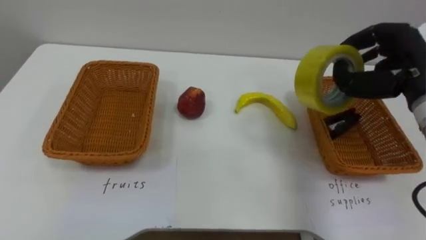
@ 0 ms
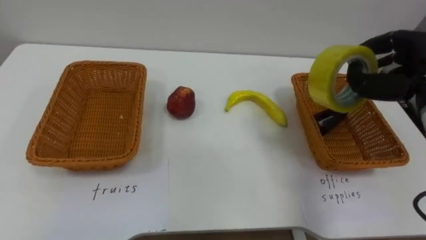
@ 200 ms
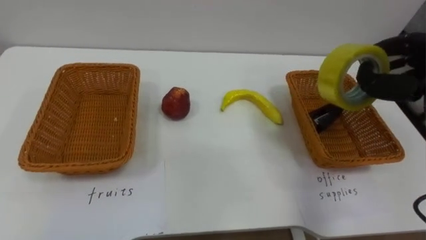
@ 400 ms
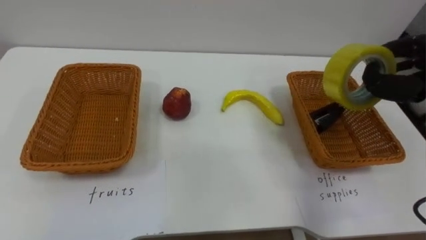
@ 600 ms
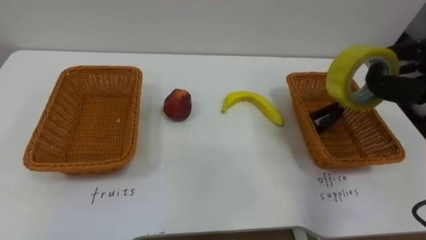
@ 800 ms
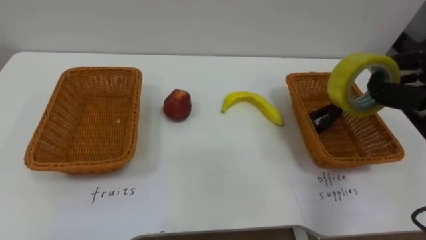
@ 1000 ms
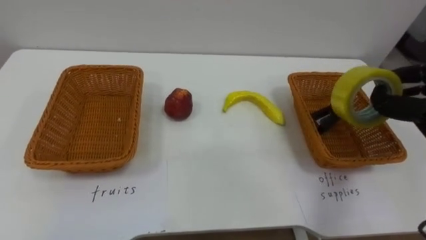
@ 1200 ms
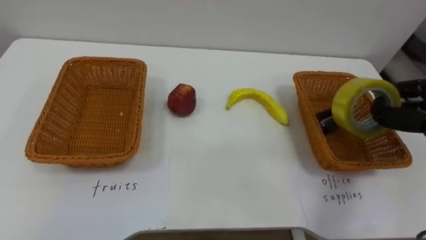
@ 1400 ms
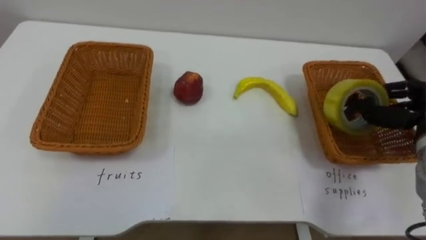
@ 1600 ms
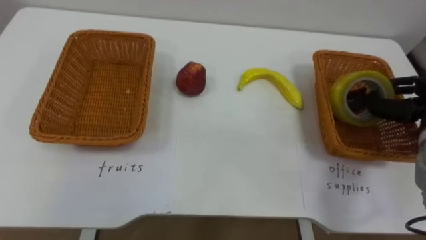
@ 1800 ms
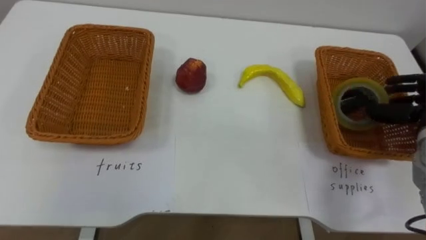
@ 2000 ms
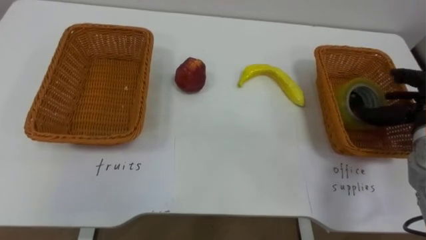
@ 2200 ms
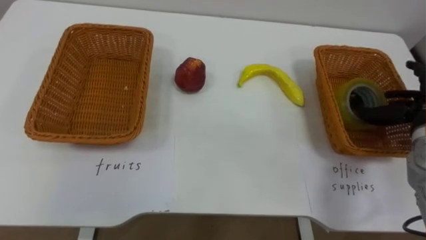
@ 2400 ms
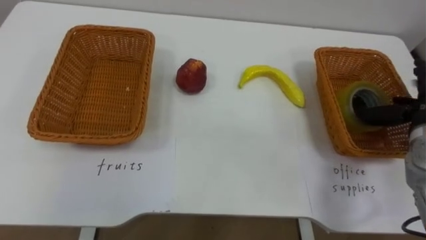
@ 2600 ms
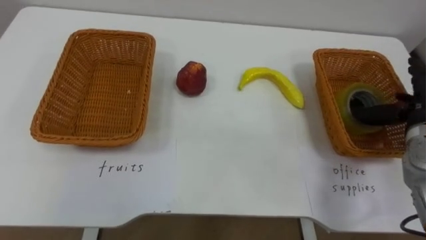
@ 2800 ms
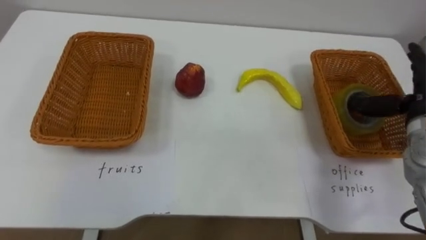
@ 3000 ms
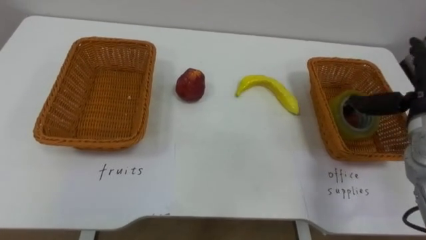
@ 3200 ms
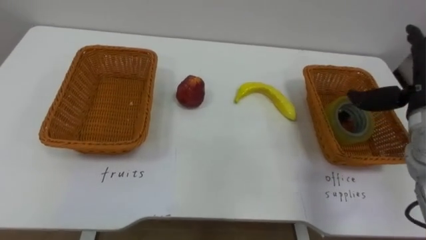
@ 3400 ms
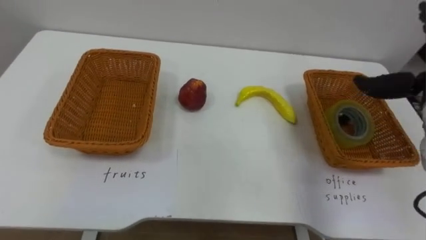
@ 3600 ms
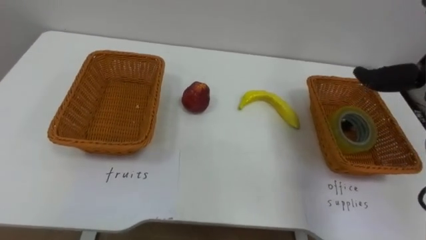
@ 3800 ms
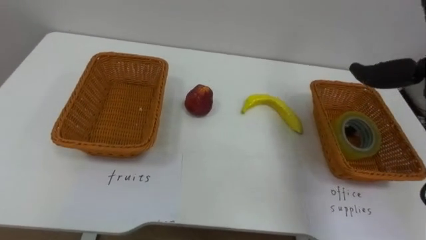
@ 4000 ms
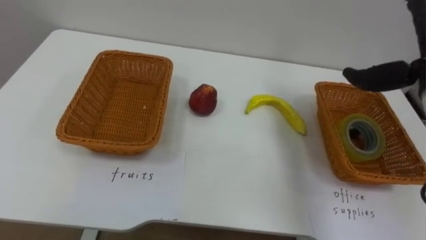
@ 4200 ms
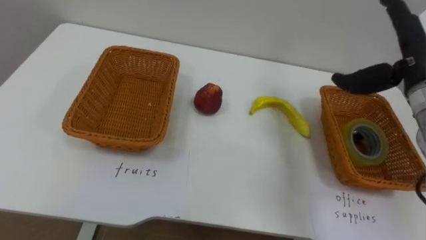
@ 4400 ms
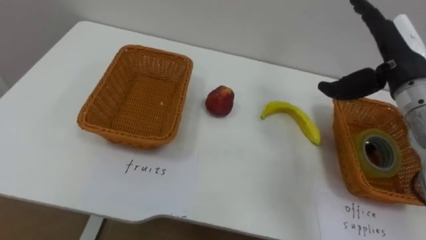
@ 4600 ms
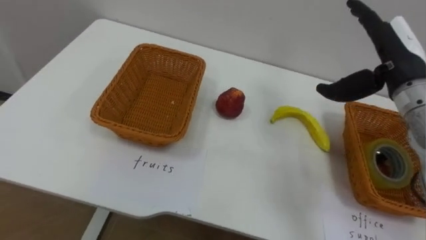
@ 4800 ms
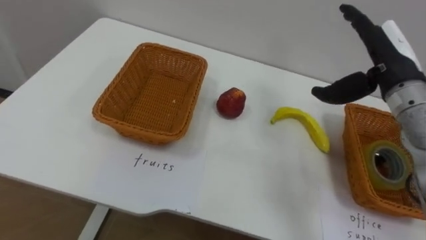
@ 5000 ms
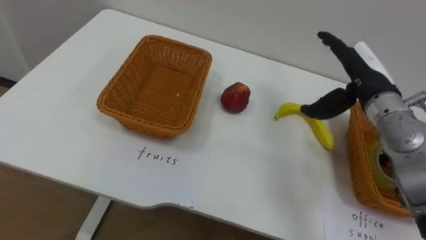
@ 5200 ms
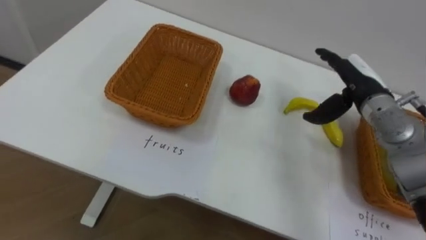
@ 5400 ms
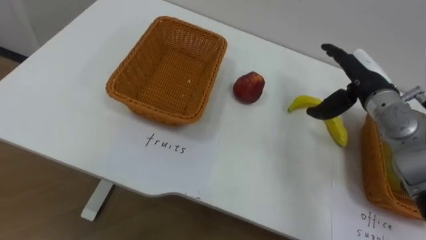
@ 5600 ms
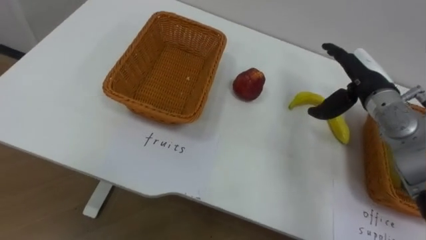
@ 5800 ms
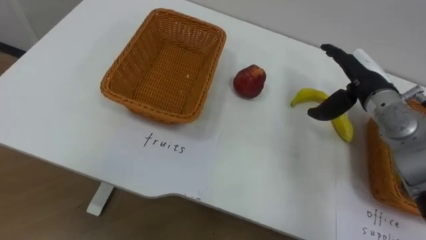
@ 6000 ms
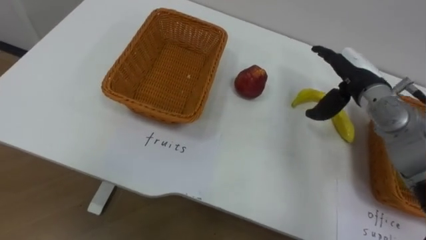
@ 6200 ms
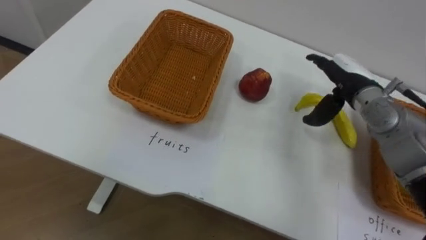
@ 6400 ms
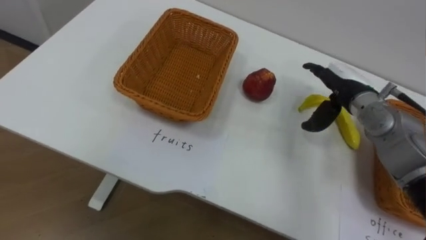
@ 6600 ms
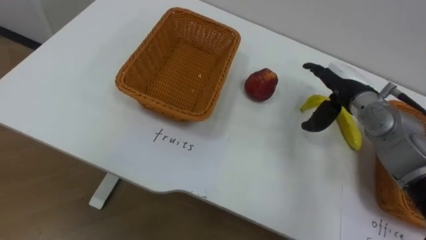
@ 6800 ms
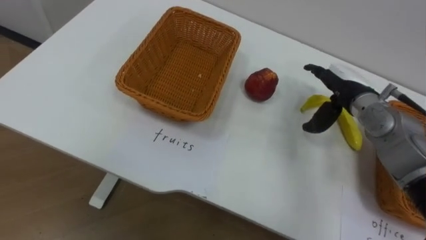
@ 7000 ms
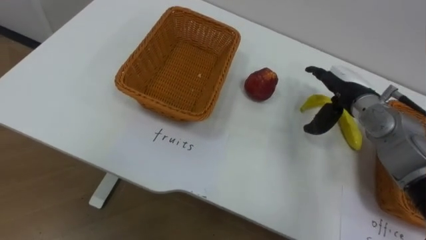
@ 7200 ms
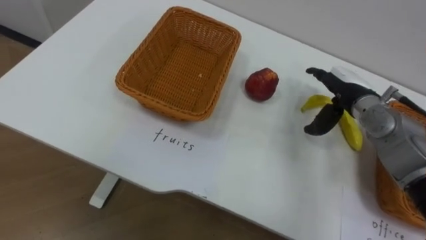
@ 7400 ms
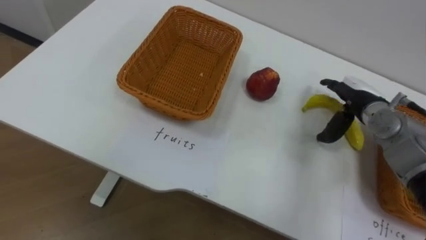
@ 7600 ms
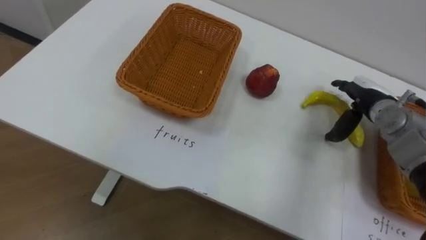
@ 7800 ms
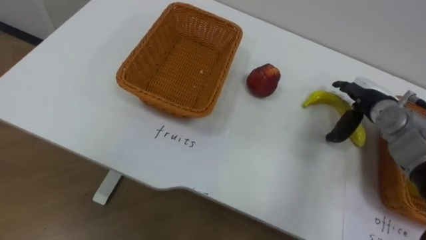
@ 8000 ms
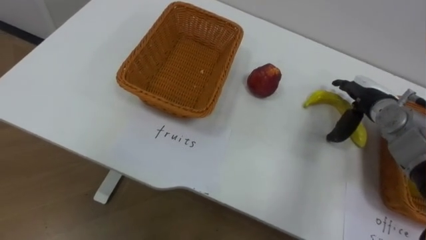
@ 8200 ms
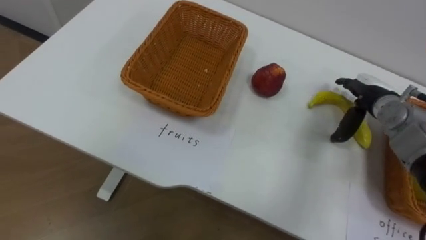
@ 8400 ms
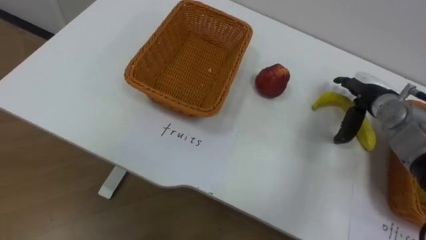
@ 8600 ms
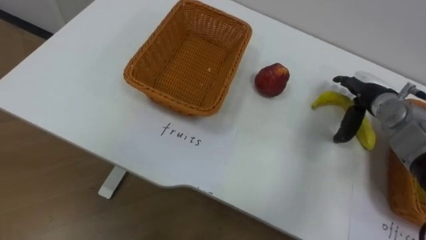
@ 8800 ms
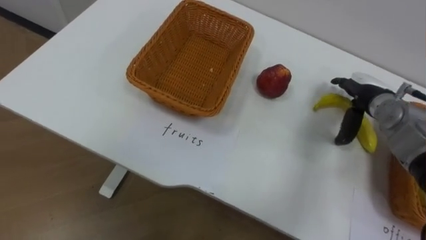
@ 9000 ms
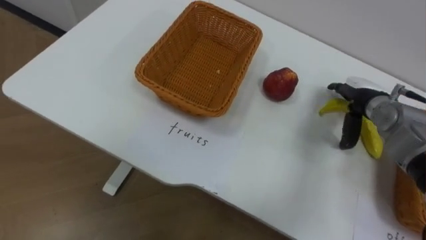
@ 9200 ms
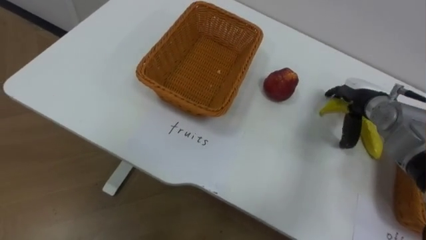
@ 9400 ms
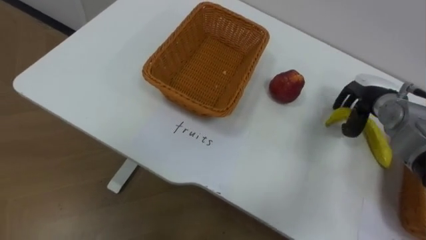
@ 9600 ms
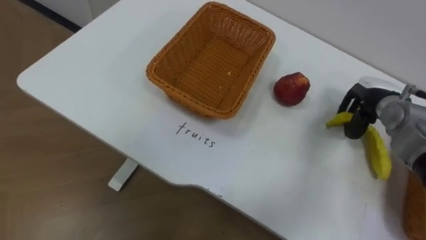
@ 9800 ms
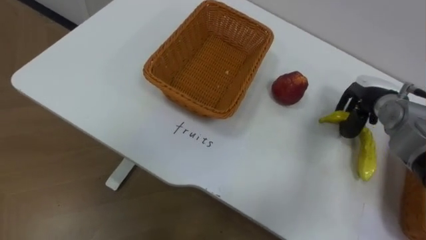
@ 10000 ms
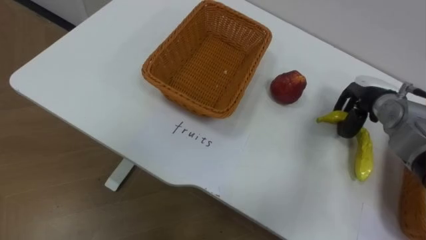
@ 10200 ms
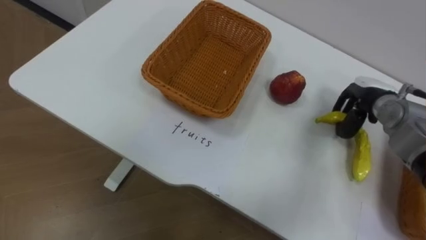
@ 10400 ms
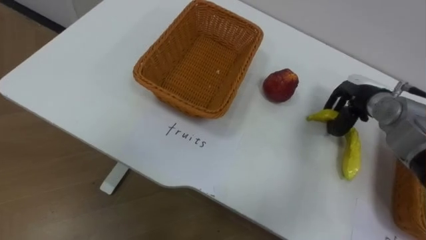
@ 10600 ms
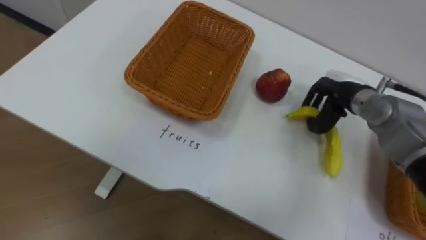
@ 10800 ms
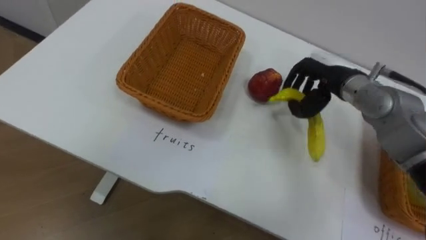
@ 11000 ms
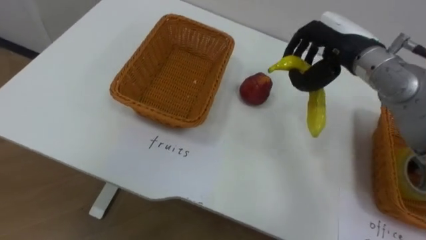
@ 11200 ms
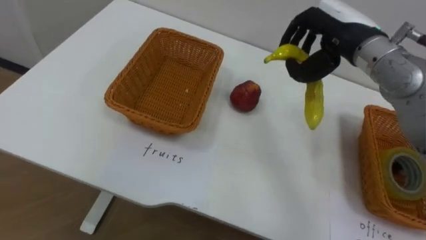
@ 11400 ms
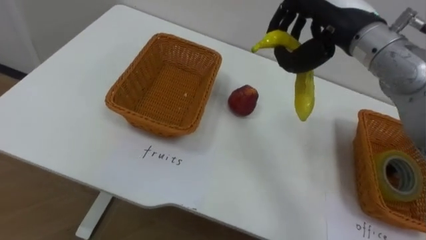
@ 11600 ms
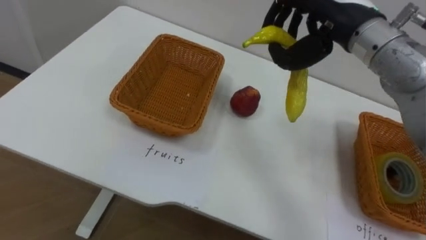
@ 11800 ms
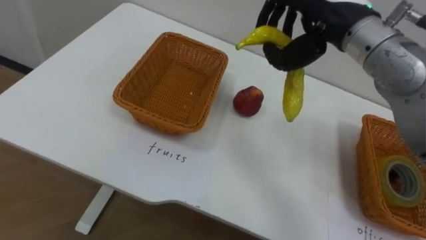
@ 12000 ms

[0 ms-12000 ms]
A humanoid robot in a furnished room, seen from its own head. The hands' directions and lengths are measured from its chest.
Task of the whole recording: Separate the items on the table and place them into the two baskets.
4400 ms to 6000 ms: The right hand heads downward, covering about 10 cm.
6000 ms to 7600 ms: The right hand travels downward by roughly 5 cm.
9000 ms to 10400 ms: The right hand closes its fingers.
10400 ms to 12000 ms: The right hand is displaced upward and to the left by about 25 cm.

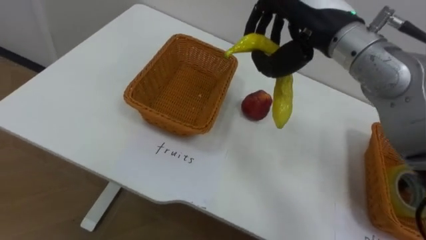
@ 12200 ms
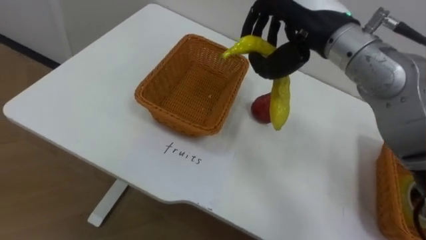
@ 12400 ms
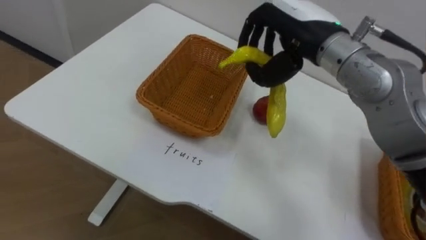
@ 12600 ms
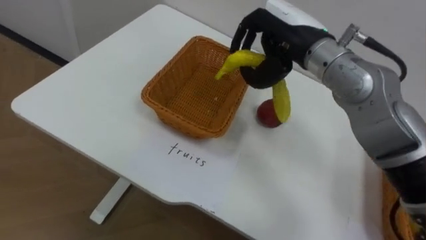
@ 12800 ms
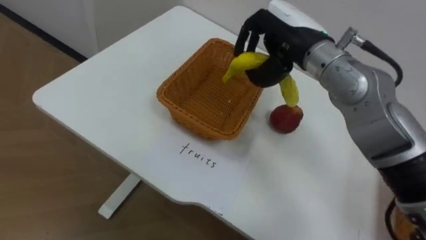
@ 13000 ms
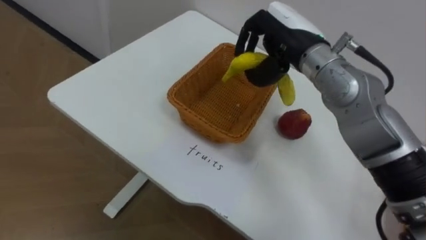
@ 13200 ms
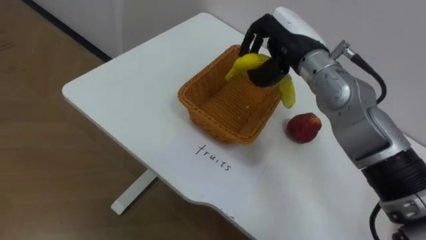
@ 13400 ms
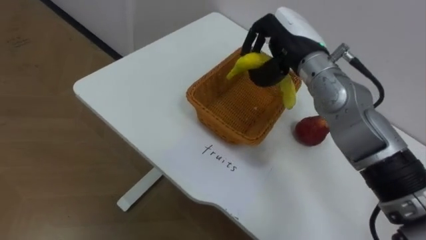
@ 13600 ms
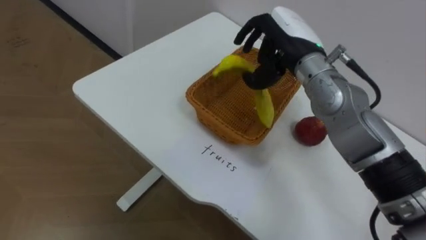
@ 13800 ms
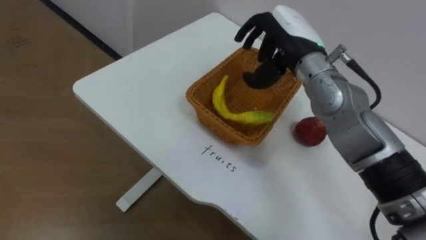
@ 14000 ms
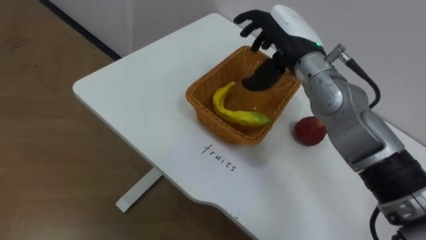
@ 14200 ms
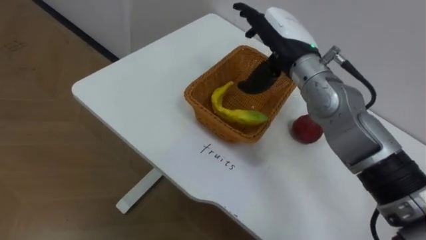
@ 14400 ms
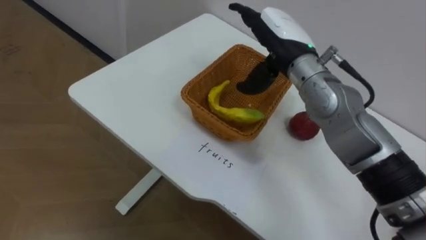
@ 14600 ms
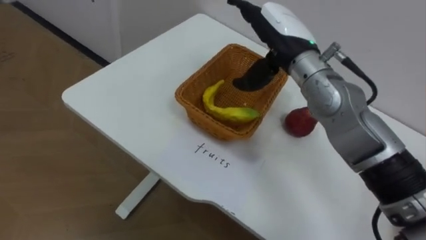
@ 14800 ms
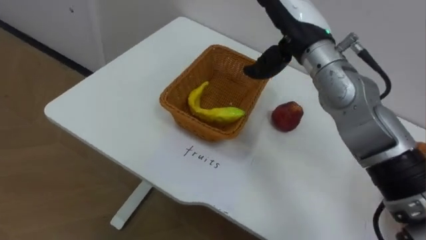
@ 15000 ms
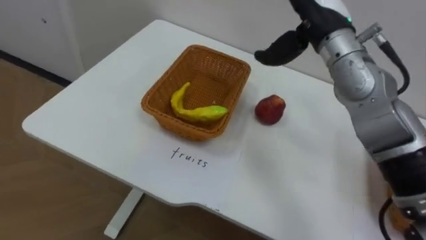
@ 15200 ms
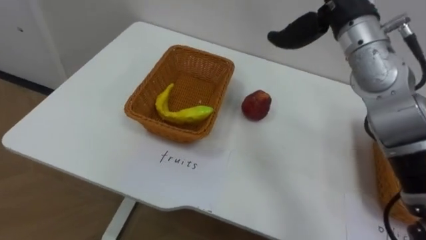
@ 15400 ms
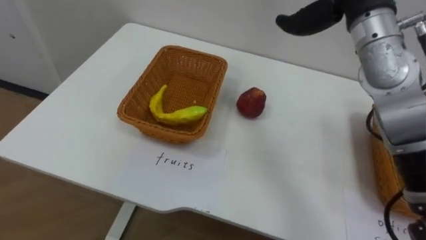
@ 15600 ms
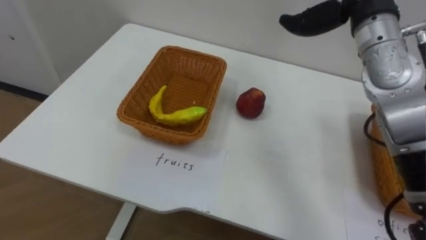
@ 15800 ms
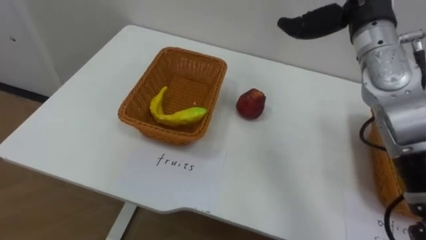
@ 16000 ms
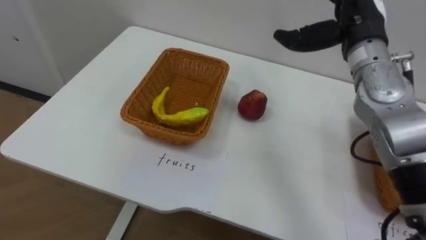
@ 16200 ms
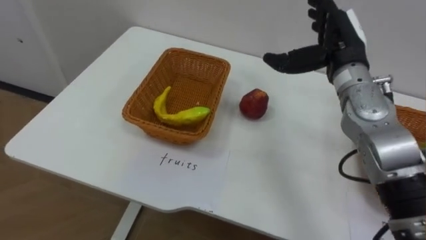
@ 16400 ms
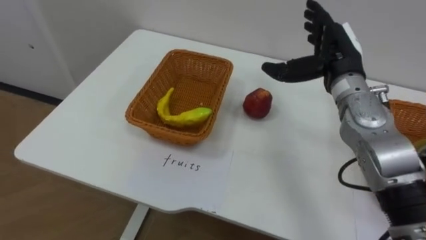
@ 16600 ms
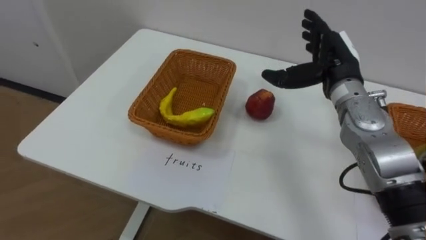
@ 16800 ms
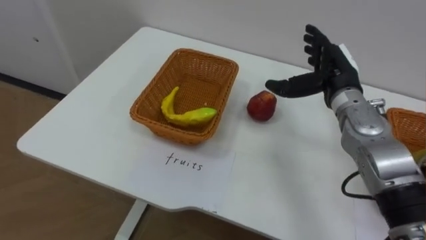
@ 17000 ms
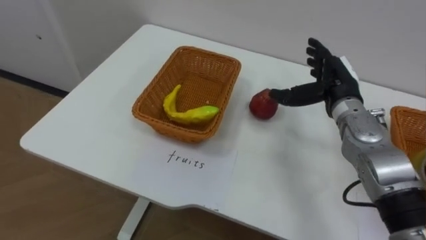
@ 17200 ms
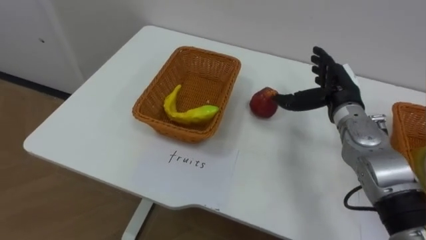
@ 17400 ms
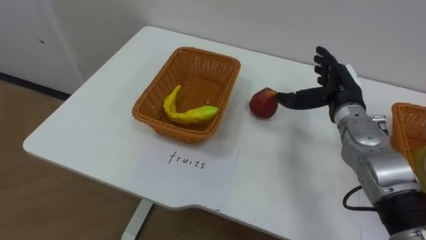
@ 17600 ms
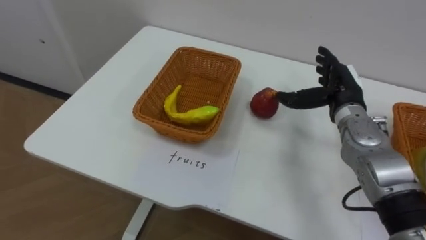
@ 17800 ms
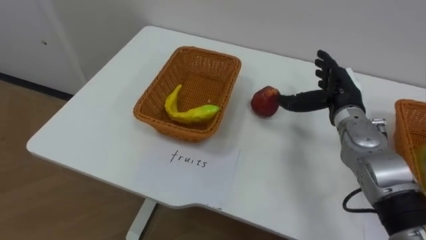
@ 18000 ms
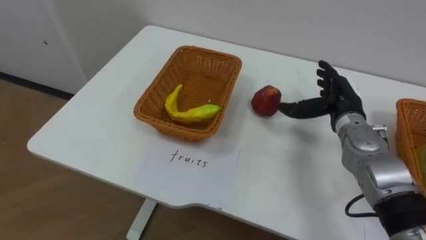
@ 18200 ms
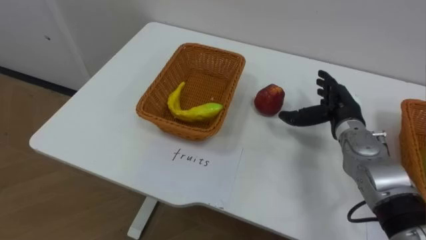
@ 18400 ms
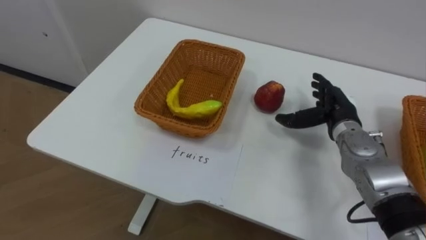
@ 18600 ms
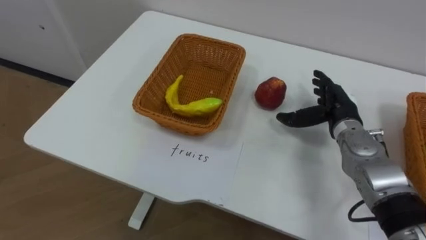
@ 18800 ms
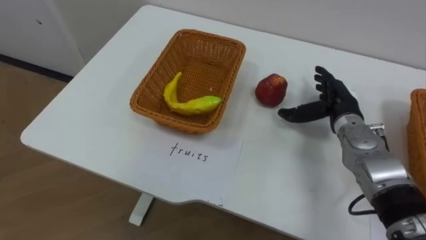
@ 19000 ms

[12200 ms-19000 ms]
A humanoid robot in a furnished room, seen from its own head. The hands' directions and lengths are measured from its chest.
Task of the whole recording: Separate the items on the table and place them into the two baskets.
12200 ms to 13600 ms: The right hand heads downward, covering approximately 5 cm.
13600 ms to 15000 ms: The right hand opens its fingers.
16200 ms to 17600 ms: The right hand is displaced downward by roughly 15 cm.
